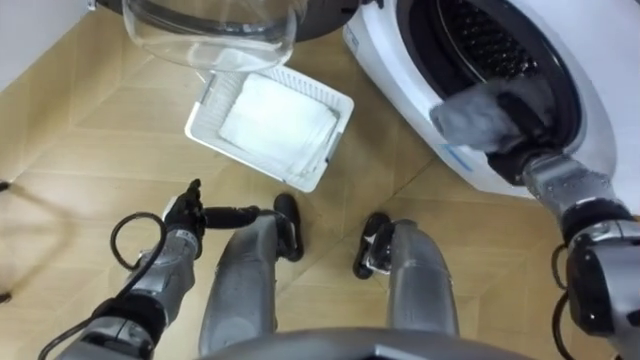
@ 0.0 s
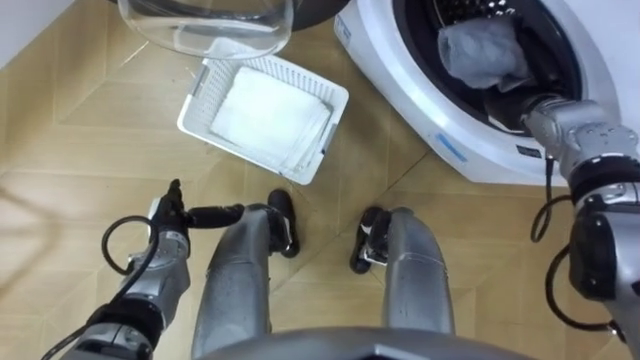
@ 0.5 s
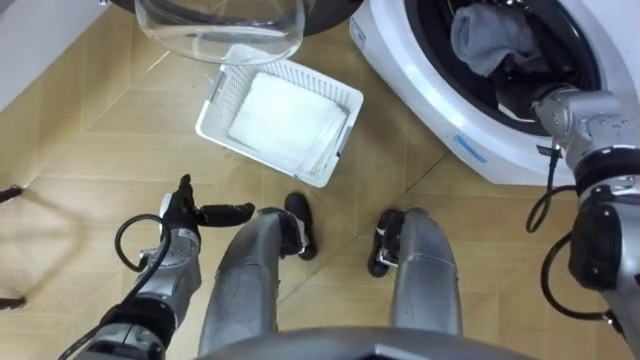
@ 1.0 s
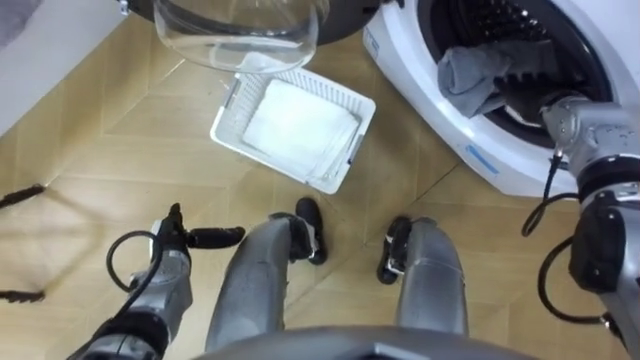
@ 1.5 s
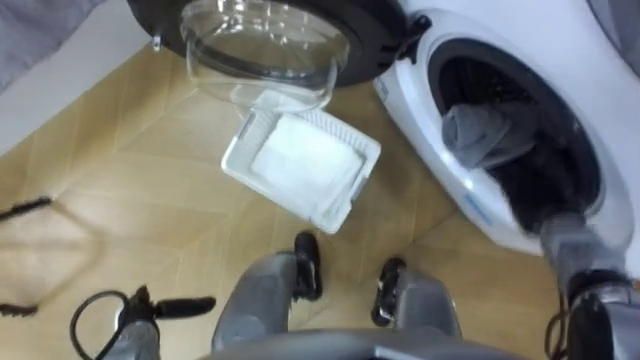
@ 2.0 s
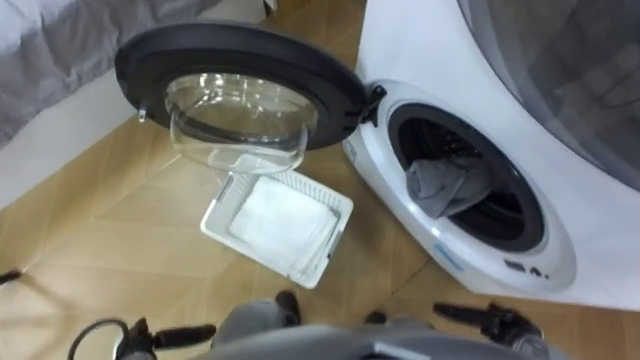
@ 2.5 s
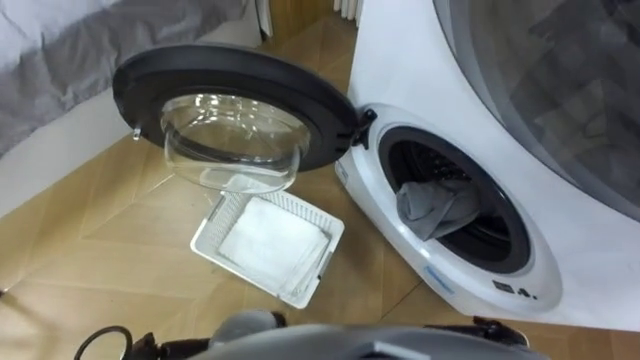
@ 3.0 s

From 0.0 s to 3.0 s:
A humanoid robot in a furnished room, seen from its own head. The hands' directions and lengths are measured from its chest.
Task of the whole recording: Take the towel from the basket and put it into the washing machine.
From 0.0 s to 1.5 s: The right hand goes roughly 10 cm upward and forward, and opens up.
From 1.5 s to 3.0 s: The right hand heads backward and downward, covering approximately 40 cm.

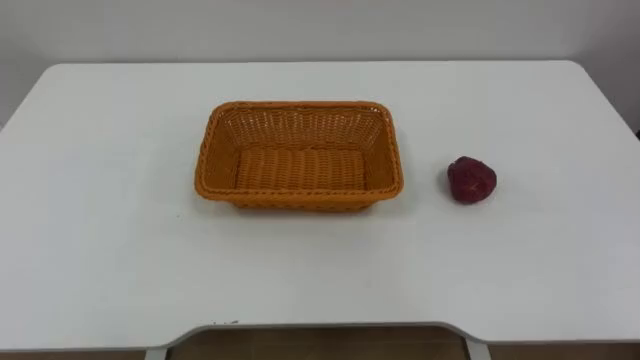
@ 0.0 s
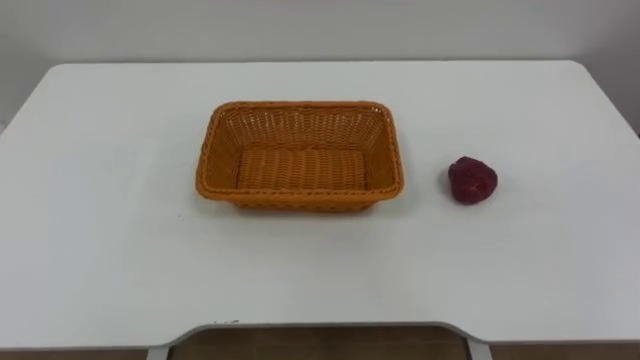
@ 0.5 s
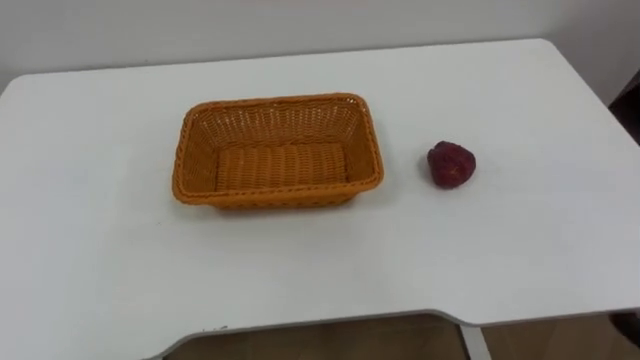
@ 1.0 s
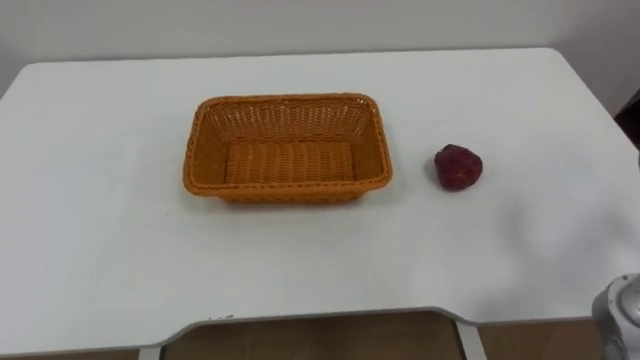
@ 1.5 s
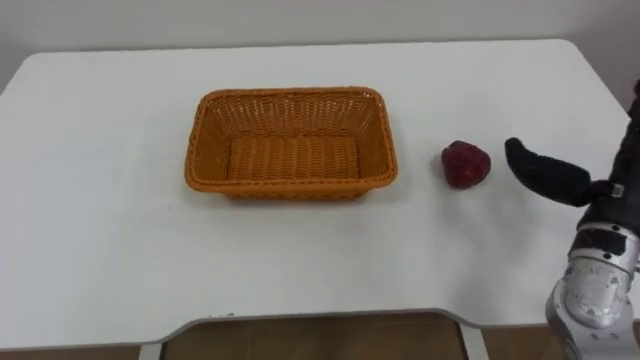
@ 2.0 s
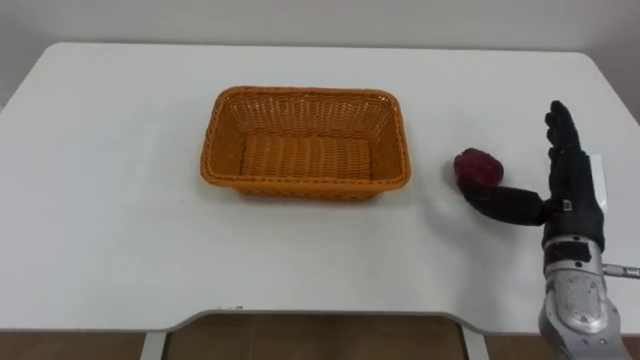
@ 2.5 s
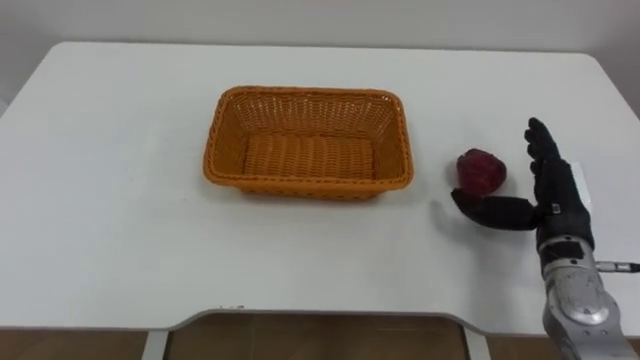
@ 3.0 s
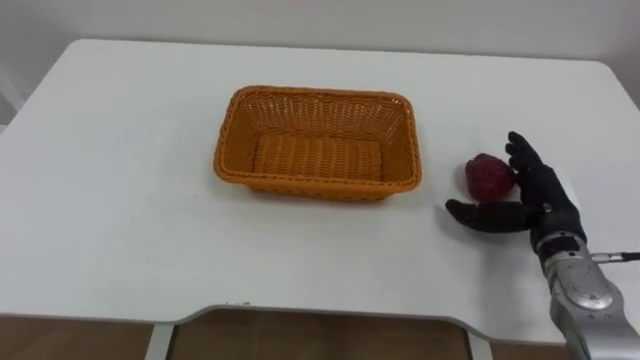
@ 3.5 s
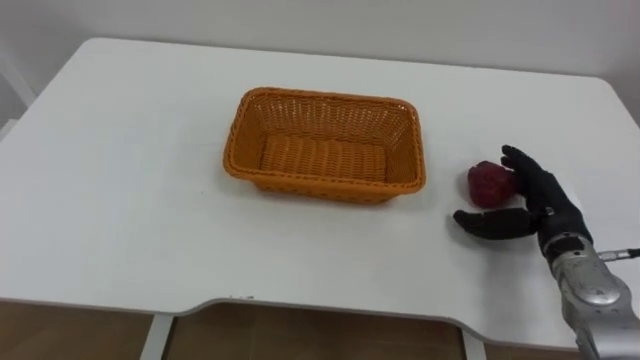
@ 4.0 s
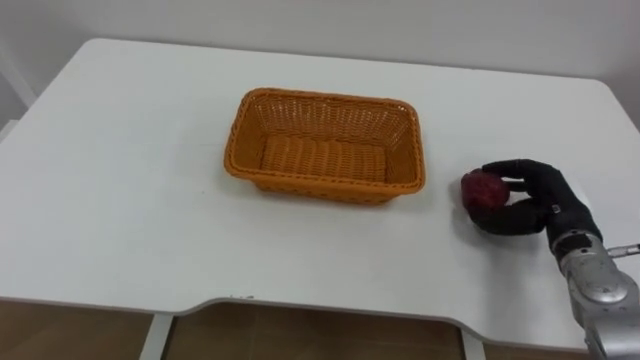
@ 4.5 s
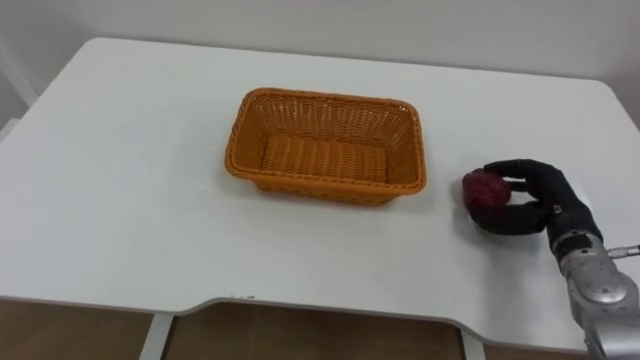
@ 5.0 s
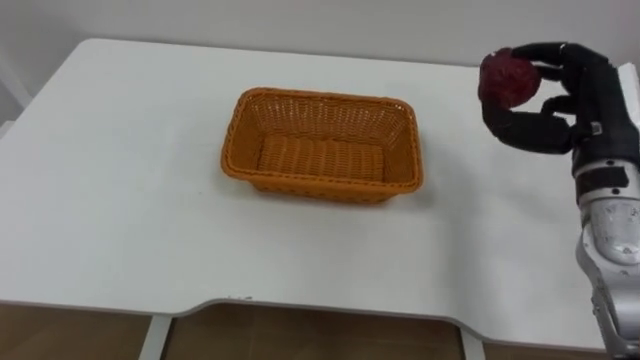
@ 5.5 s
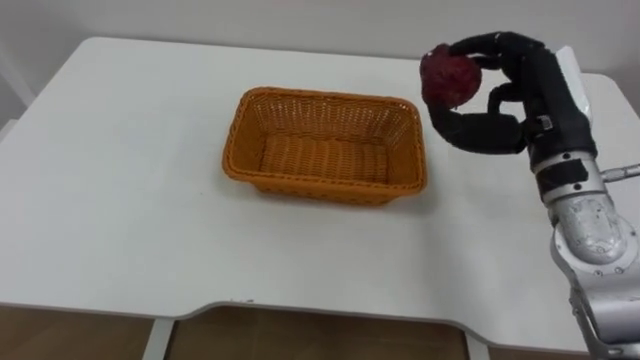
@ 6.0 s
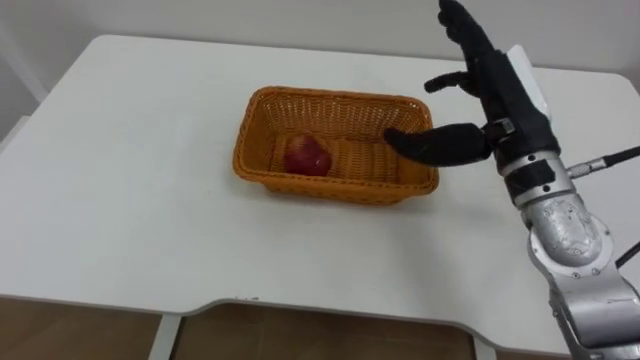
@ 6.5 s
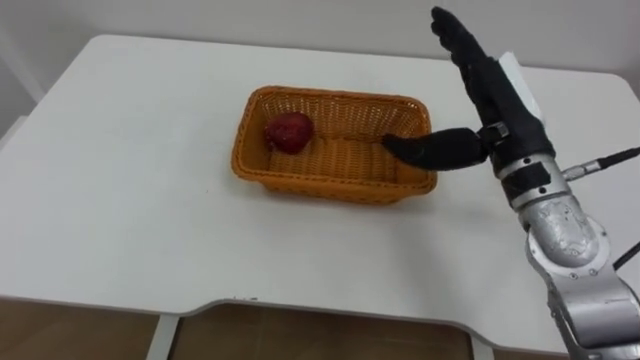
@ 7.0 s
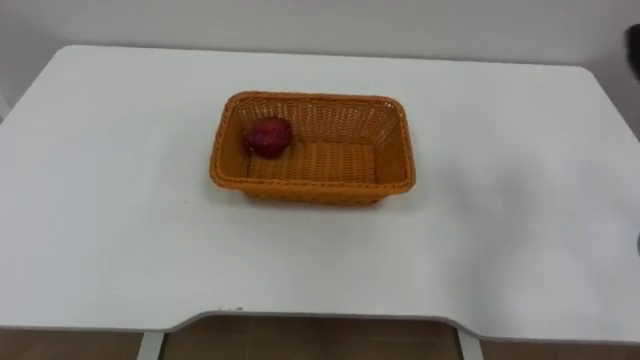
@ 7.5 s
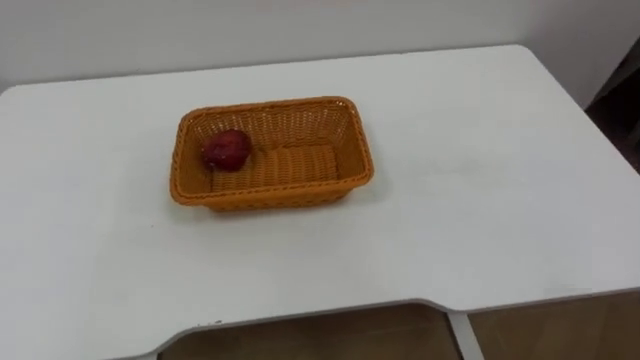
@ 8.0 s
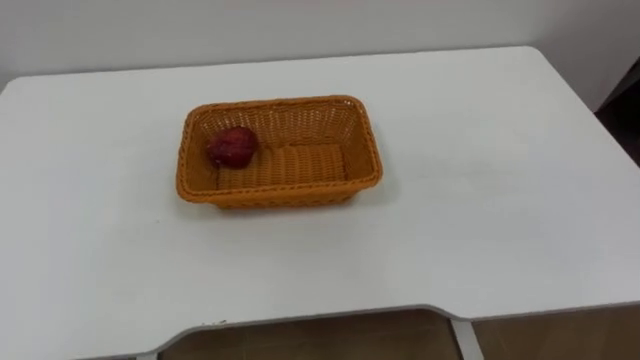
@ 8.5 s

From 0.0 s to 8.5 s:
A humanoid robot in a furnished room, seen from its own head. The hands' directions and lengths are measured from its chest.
Task of the whole recording: Pick the apple and place it in the box.
From 2.0 s to 4.0 s: The right hand shifts some 10 cm downward.
From 4.0 s to 6.5 s: The right hand shifts about 20 cm upward and to the left, and closes and opens again.

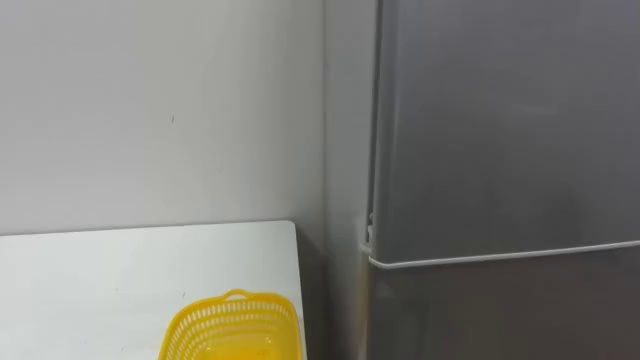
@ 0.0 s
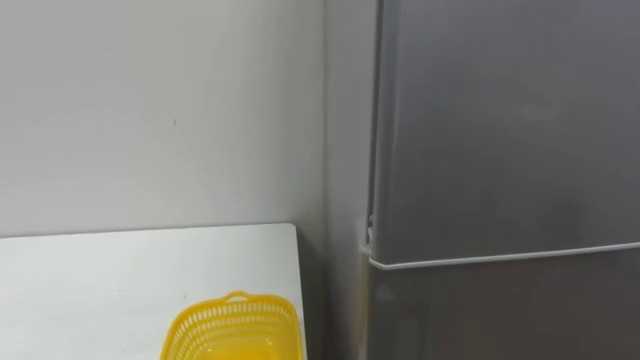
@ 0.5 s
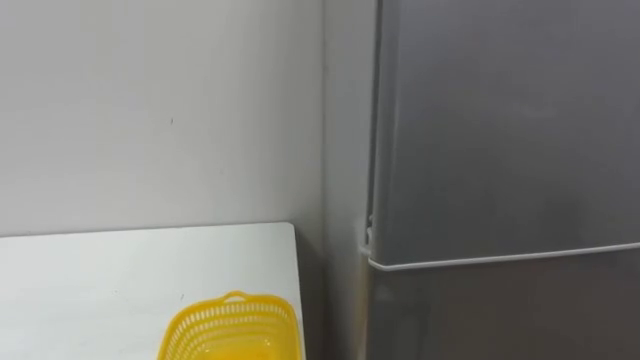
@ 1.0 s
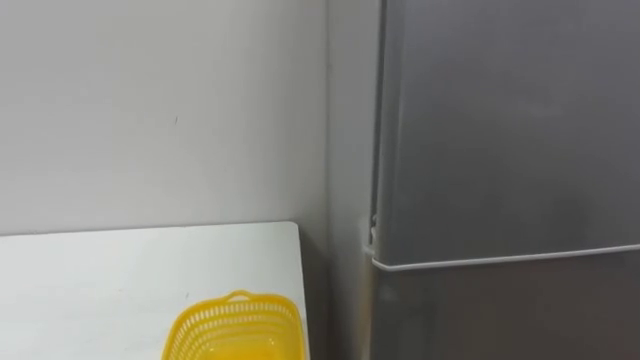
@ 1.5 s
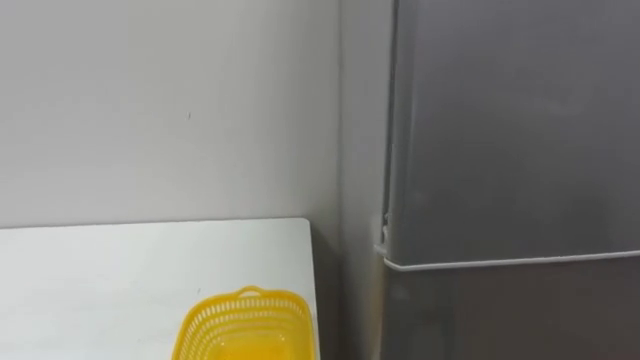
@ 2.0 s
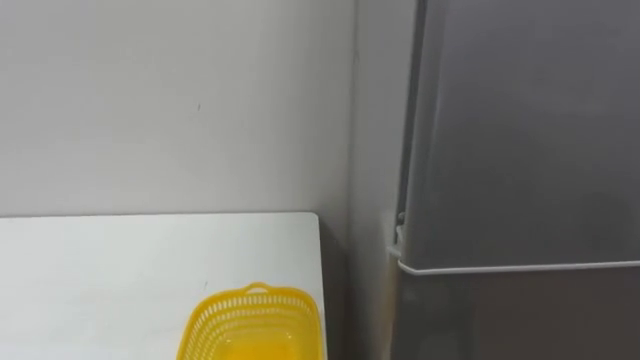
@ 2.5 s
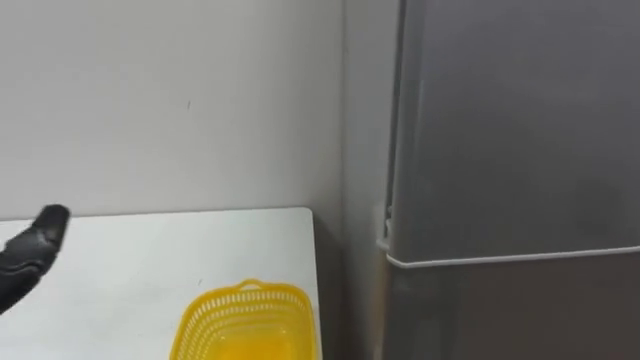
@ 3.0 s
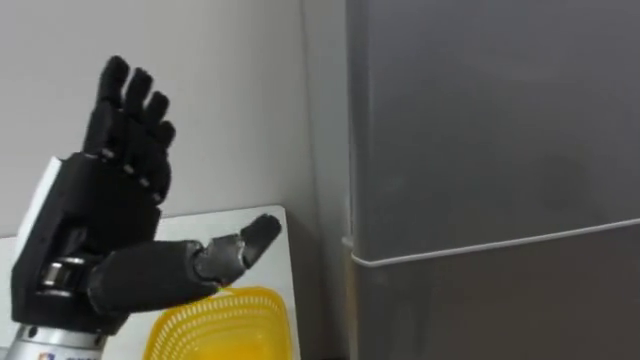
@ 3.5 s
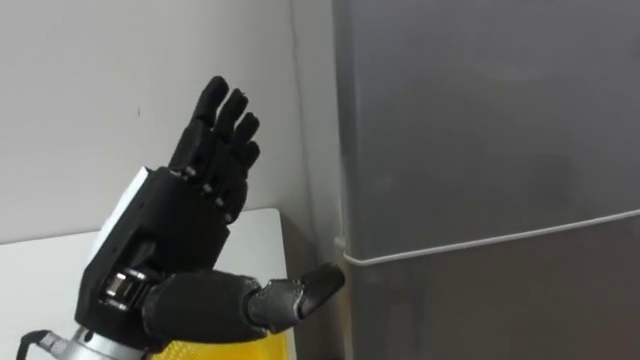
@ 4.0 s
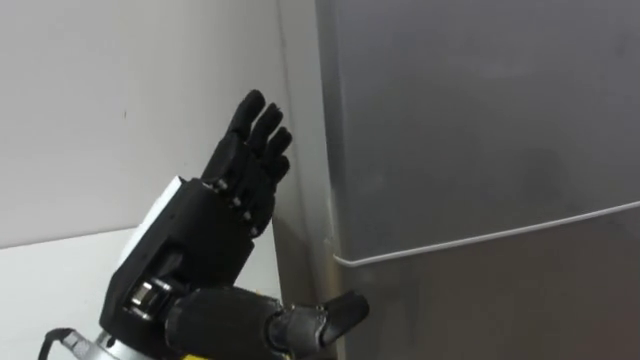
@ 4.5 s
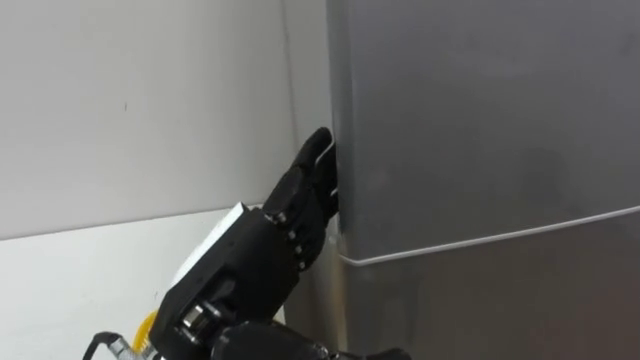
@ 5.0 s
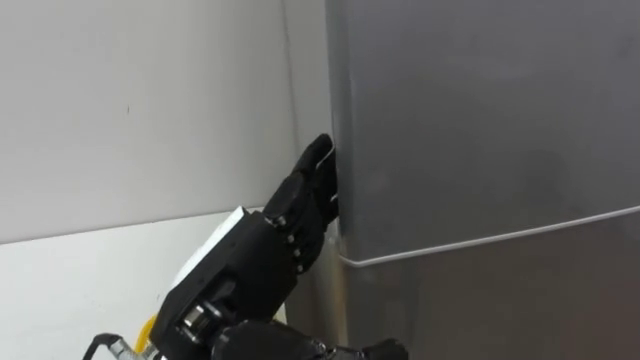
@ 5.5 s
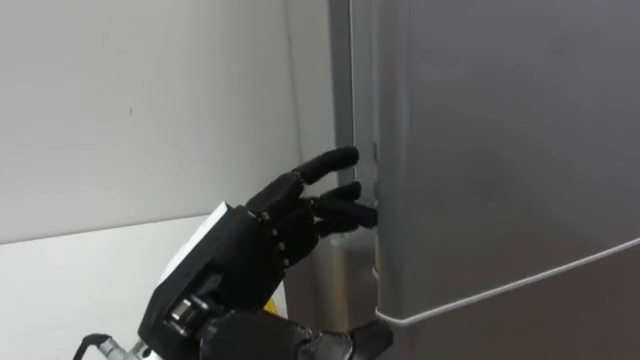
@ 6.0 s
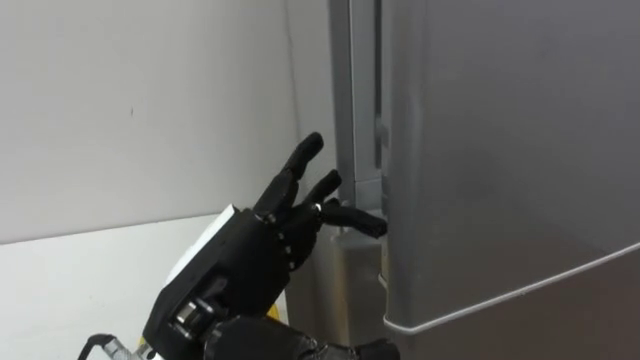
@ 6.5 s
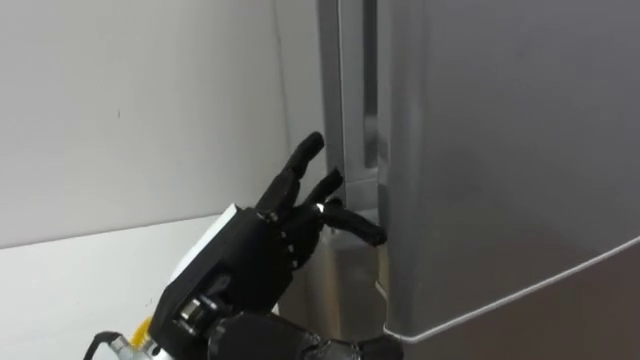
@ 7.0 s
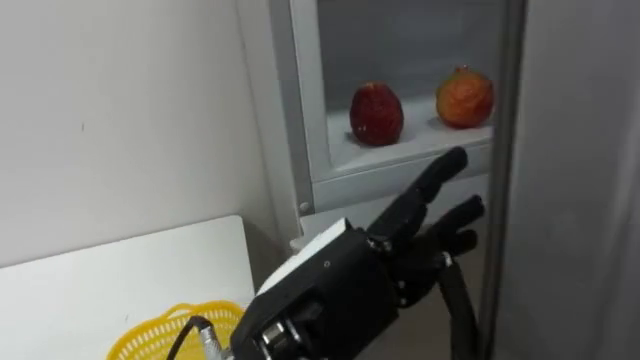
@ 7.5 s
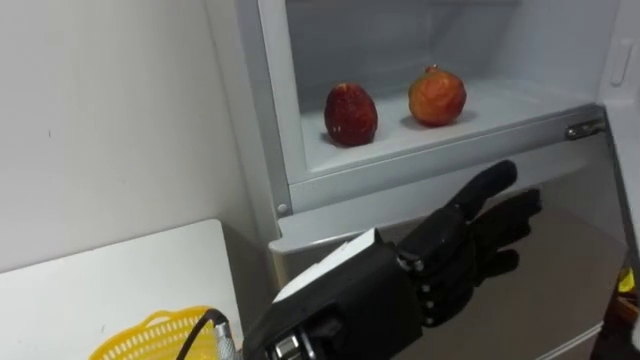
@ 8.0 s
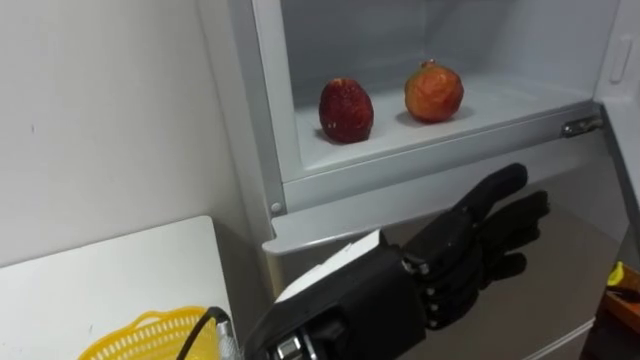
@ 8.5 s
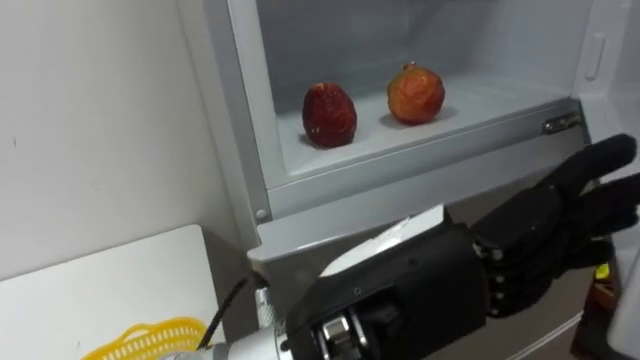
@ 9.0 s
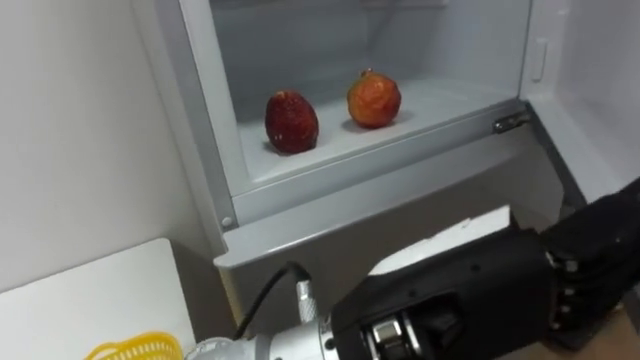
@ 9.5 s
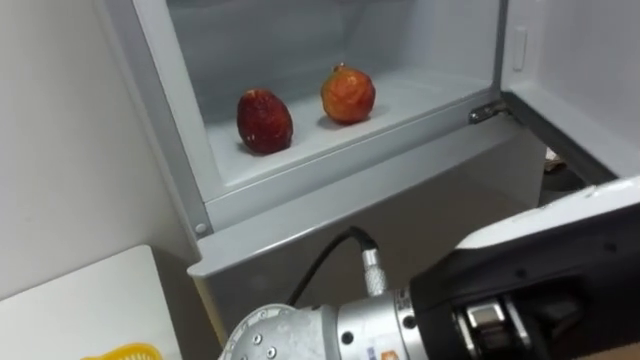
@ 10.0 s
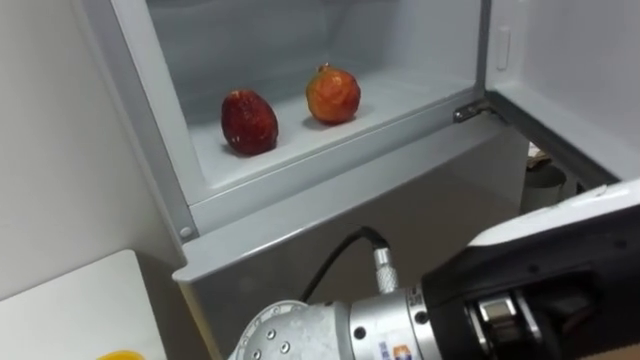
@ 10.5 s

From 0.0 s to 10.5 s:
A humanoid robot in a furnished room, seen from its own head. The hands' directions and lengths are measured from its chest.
Task of the whole recording: Open the refrigerator door, take out the apple and the pomegranate, place them in the fruit basket on the left, and close the refrigerator door.
From 4.0 s to 6.5 s: The left hand changes place by about 5 cm.
From 6.5 s to 8.5 s: The left hand moves to the right, roughly 10 cm.
From 8.5 s to 10.5 s: The left hand goes some 10 cm to the right and upward.
